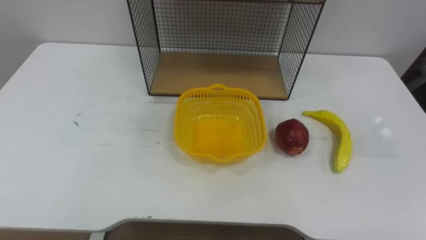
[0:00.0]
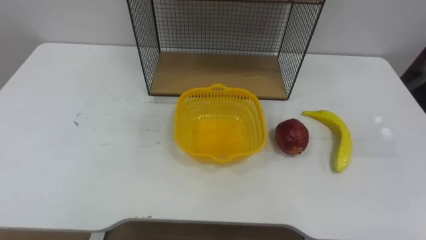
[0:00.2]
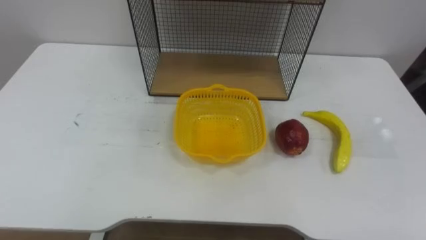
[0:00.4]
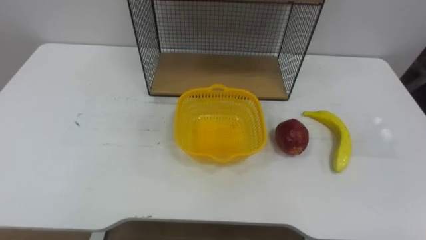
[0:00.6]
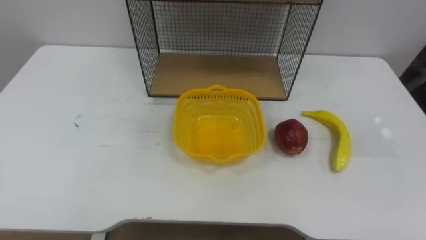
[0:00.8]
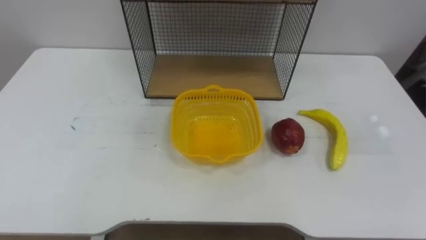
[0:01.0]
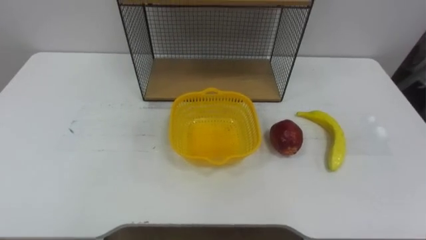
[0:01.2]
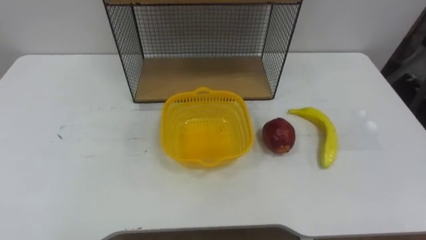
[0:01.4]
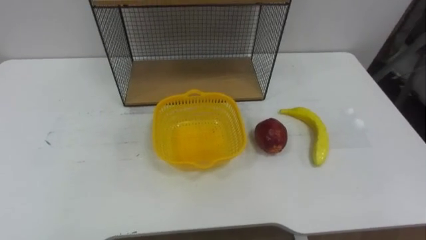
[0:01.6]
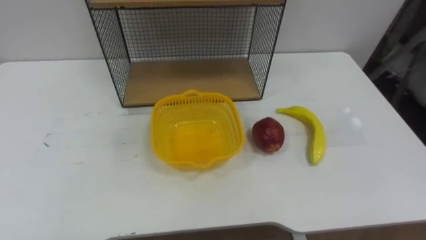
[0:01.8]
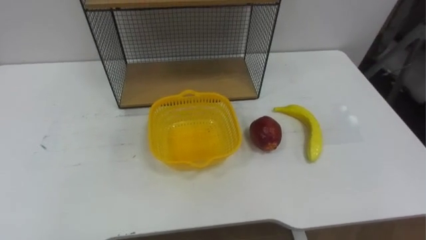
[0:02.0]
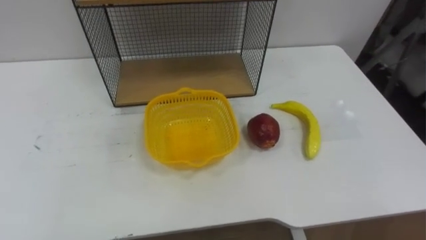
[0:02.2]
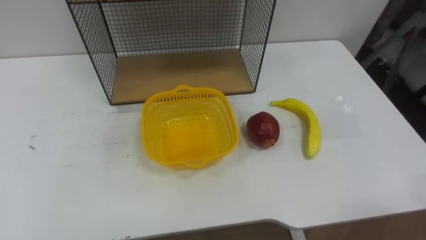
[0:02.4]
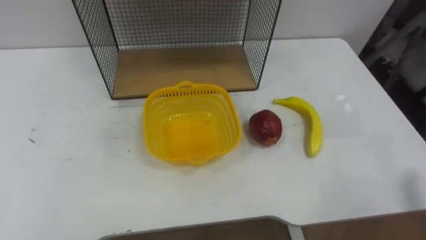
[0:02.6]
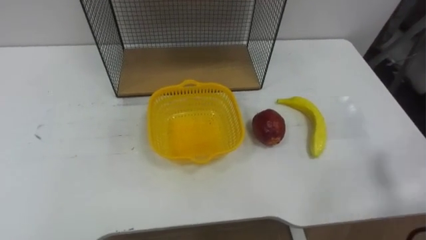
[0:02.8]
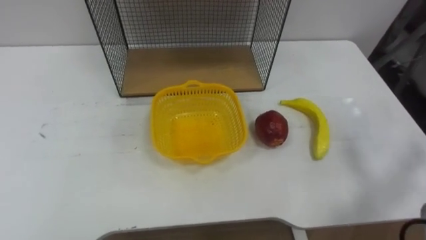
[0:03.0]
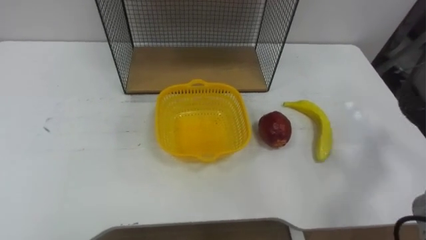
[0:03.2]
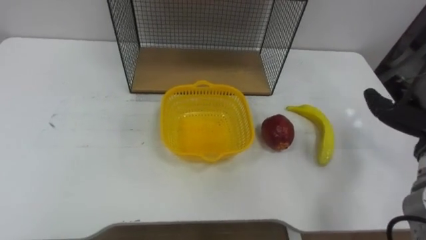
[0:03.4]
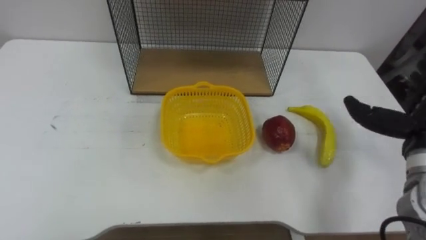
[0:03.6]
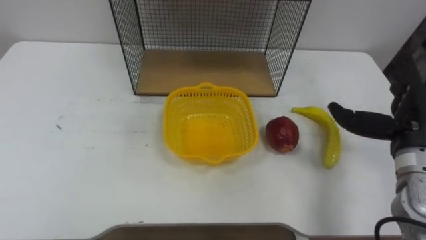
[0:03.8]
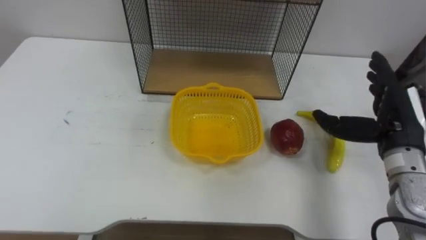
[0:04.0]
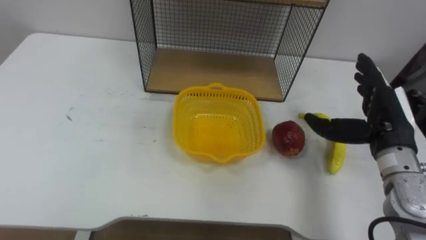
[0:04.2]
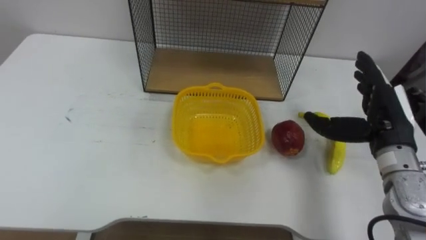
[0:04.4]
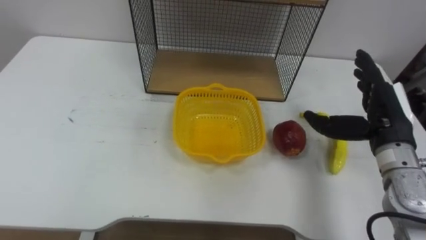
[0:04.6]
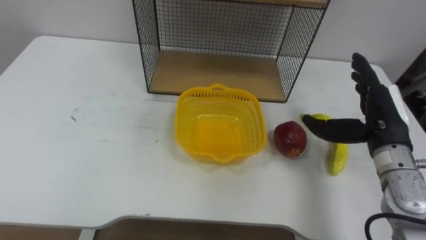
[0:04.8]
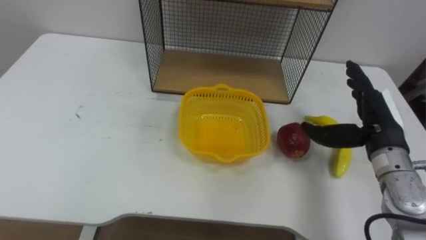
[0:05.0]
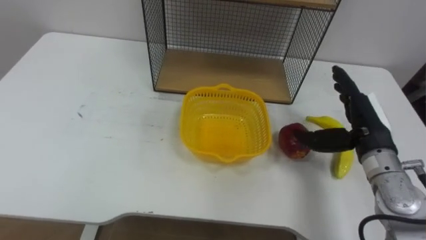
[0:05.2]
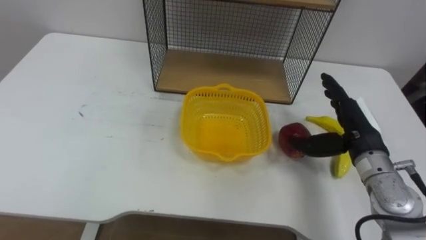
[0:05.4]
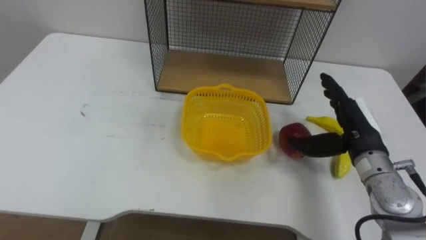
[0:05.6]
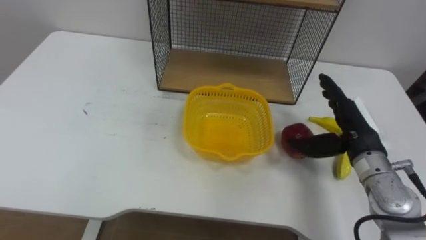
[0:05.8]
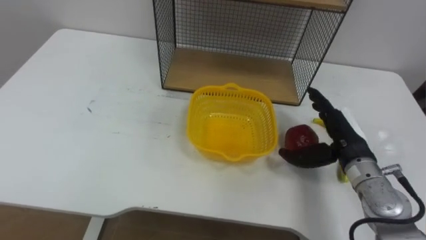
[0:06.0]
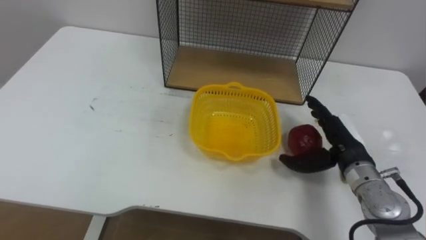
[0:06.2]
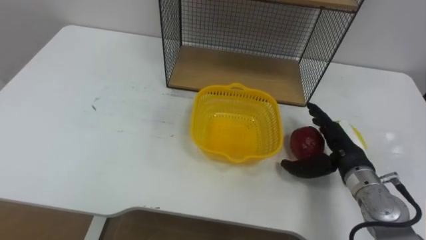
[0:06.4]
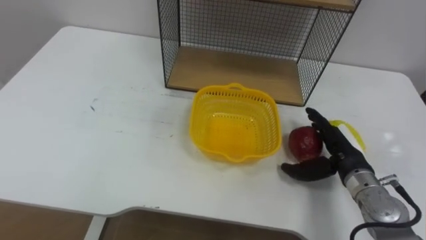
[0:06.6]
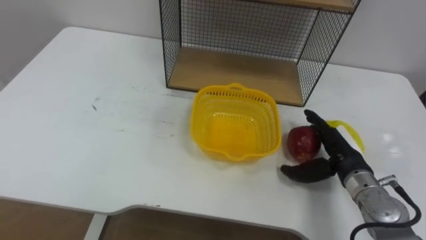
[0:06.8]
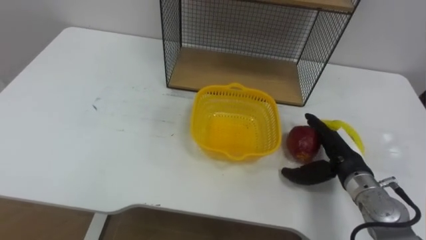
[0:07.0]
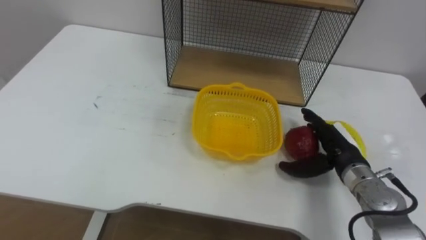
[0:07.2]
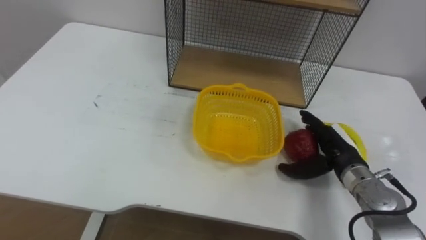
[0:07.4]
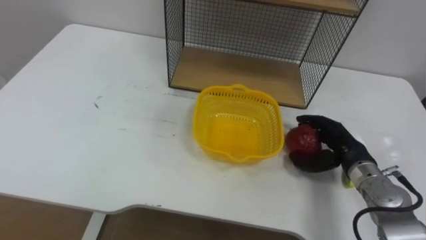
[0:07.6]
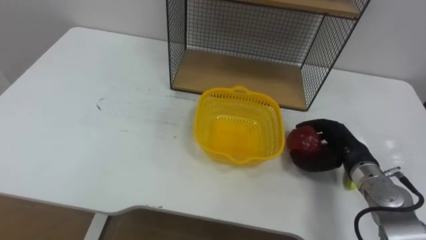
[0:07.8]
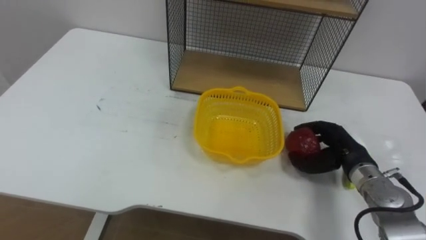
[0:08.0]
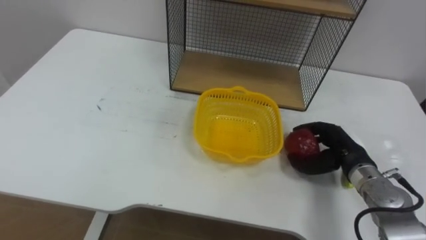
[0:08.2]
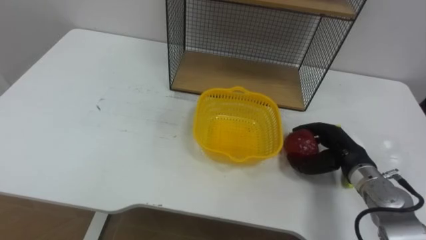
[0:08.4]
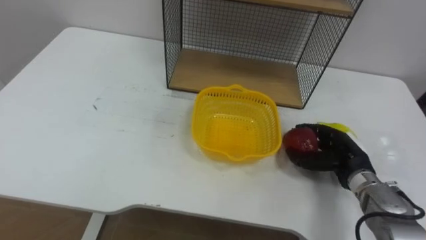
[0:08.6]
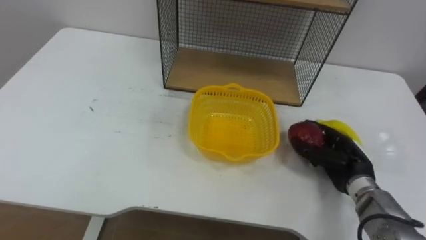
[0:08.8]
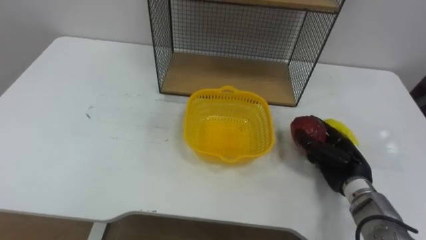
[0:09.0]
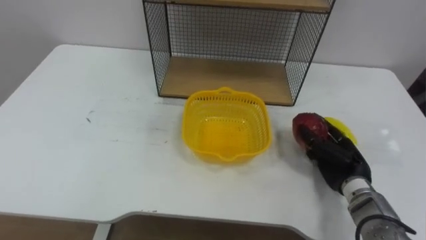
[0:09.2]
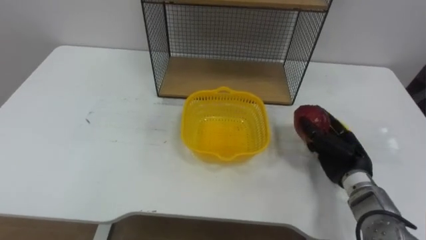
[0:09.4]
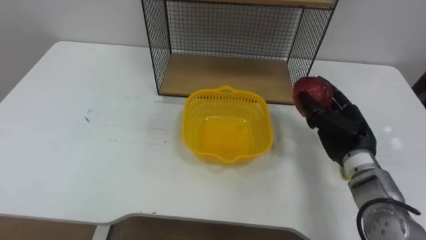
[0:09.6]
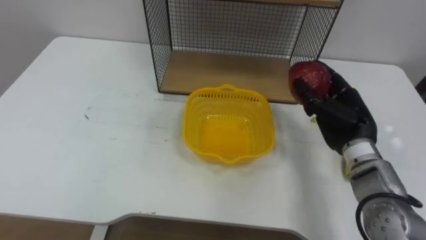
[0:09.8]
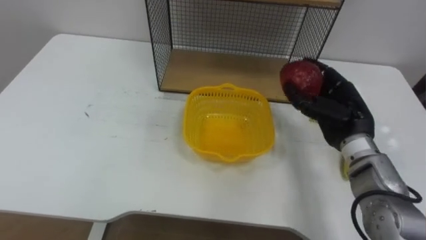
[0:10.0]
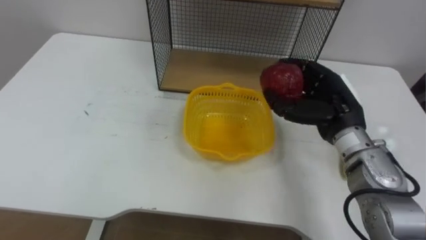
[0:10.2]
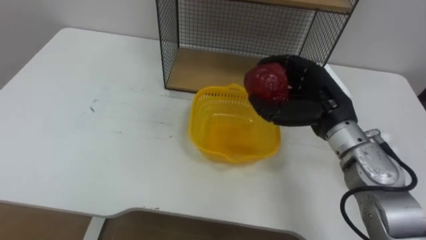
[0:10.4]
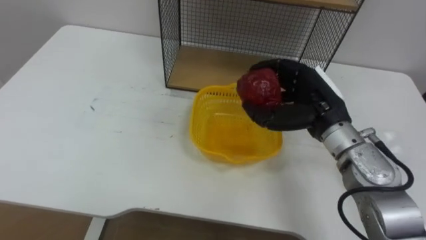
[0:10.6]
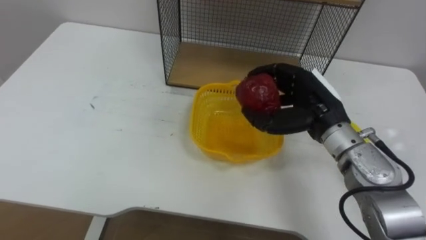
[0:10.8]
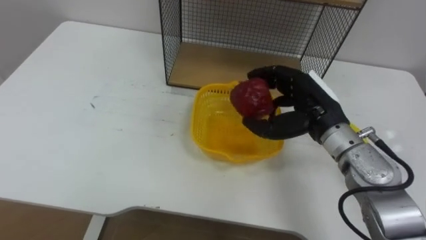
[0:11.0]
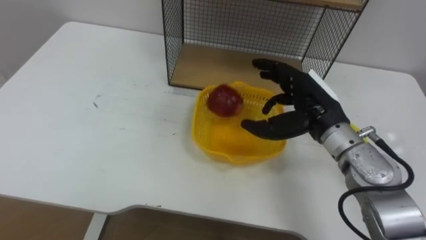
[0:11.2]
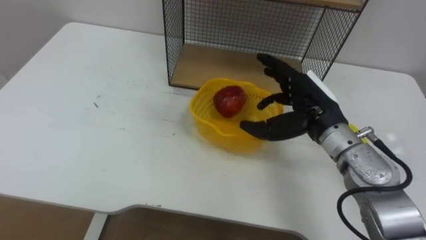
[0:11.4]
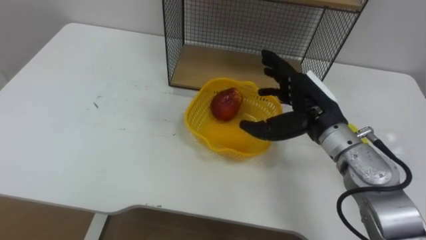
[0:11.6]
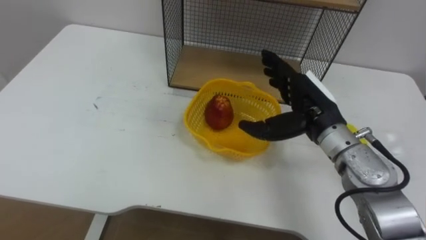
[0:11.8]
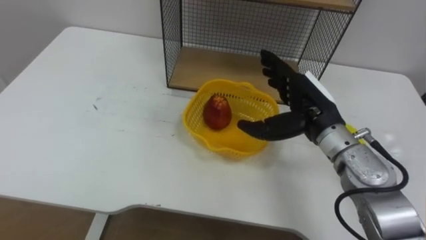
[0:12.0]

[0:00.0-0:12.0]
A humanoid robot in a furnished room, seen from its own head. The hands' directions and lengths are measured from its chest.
Task of the whole recording: Put the fruit on the table into the basket, then place the basket on the shelf.
0:04.4 to 0:06.0: The right hand travels downward by about 5 cm.
0:09.0 to 0:10.4: The right hand travels upward and to the left by about 15 cm.
0:10.4 to 0:12.0: The right hand opens its fingers.

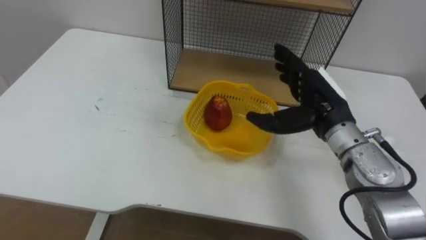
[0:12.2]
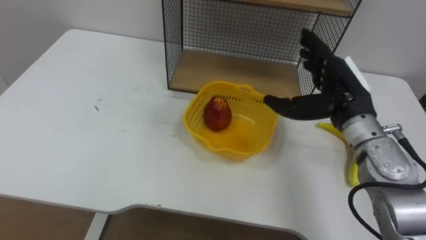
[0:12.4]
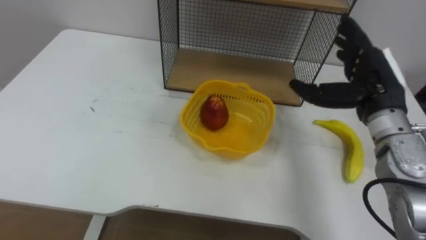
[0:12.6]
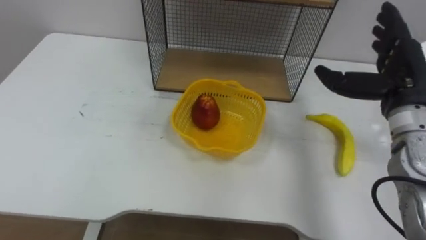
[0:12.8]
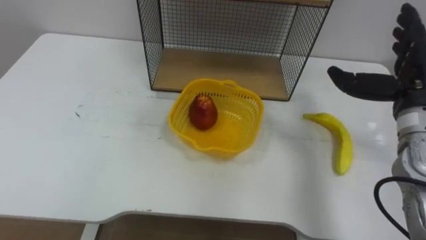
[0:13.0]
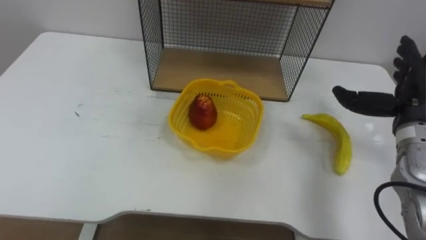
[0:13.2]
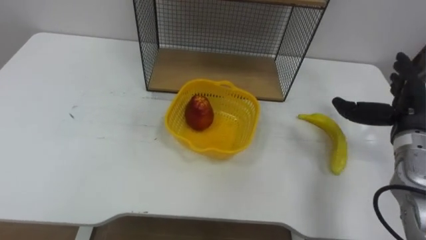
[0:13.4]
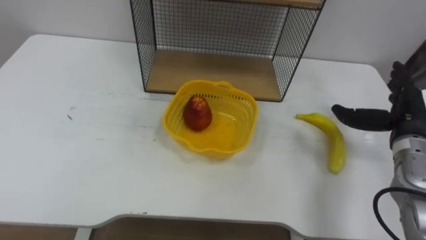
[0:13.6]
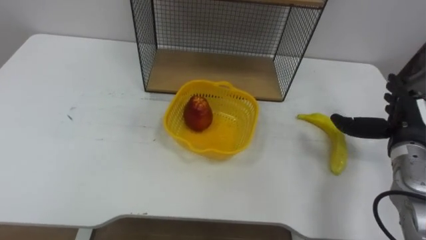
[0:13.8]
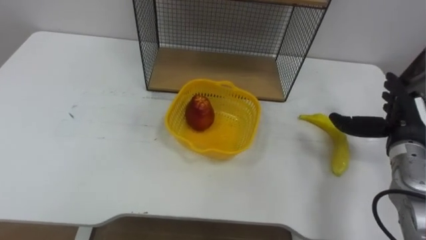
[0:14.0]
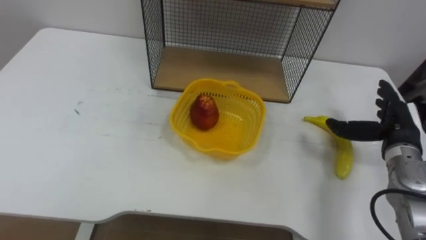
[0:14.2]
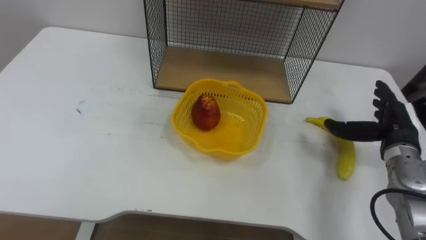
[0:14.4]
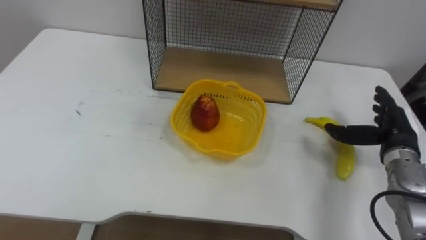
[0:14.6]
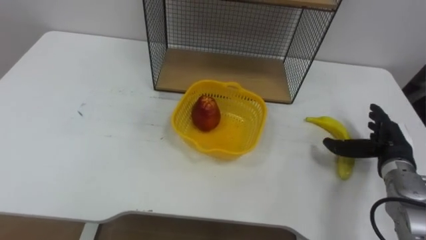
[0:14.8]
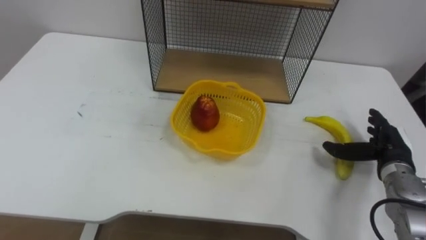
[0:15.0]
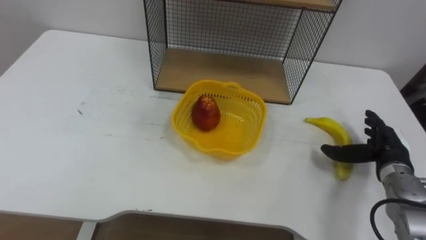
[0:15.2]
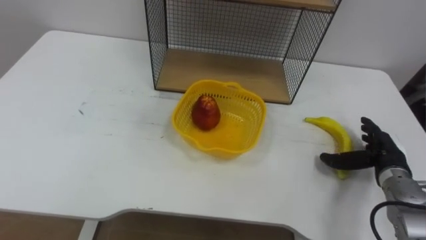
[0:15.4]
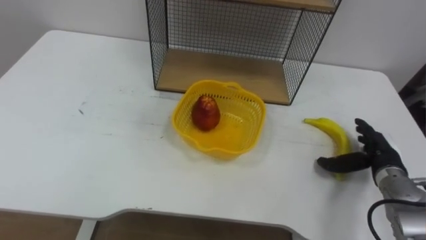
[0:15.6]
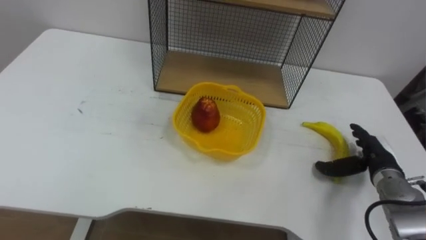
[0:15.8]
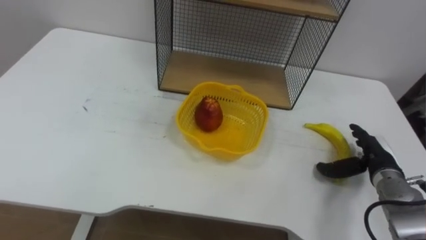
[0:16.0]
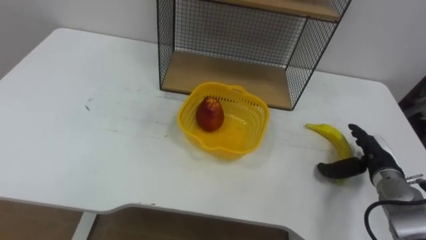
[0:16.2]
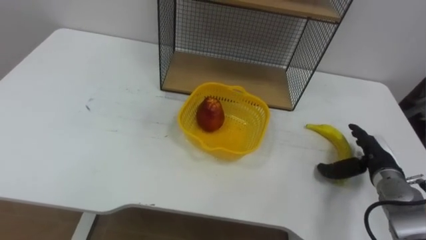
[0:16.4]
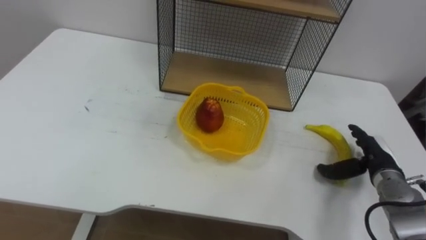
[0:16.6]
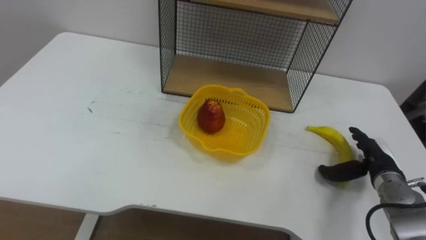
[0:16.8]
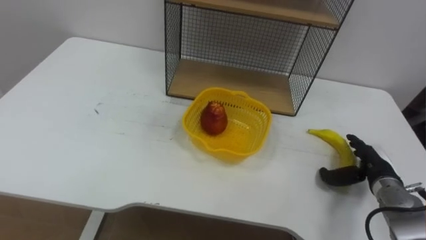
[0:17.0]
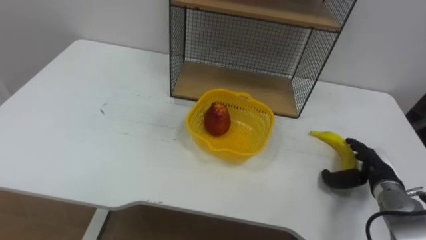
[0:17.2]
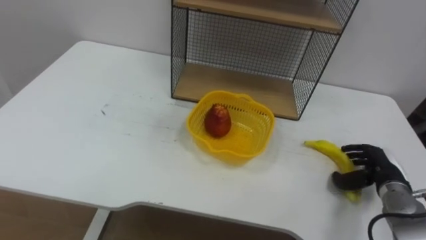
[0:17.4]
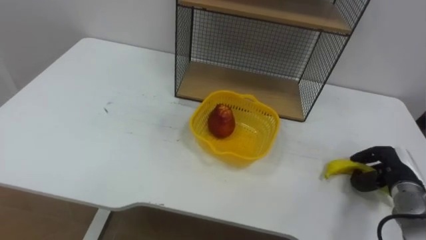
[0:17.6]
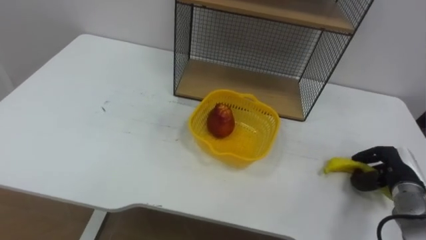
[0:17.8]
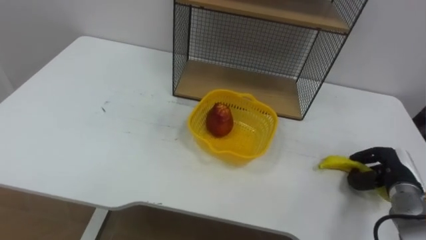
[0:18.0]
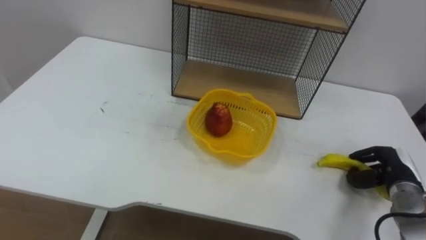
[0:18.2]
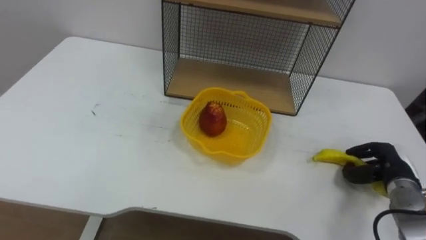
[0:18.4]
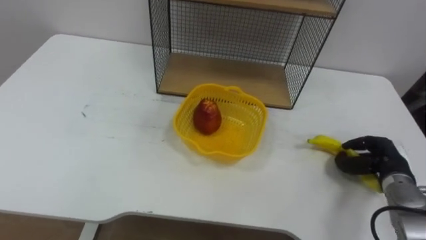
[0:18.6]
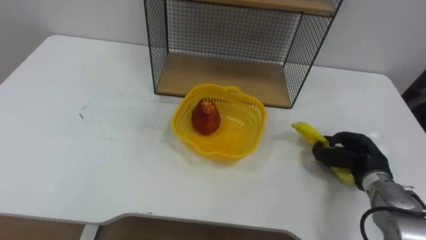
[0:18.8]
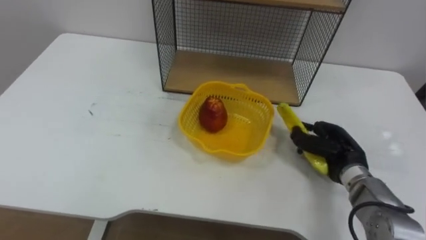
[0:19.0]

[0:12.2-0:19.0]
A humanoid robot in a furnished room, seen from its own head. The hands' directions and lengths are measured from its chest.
Task of the whole recording: Put the fruit on the table into the basket, then place the basket on the shelf.
0:12.2 to 0:13.6: The right hand moves to the right, about 15 cm.
0:13.6 to 0:15.0: The right hand moves downward, about 10 cm.
0:16.2 to 0:17.6: The right hand shifts by approximately 5 cm, and closes its fingers.
0:17.6 to 0:19.0: The right hand travels to the left by some 10 cm.
